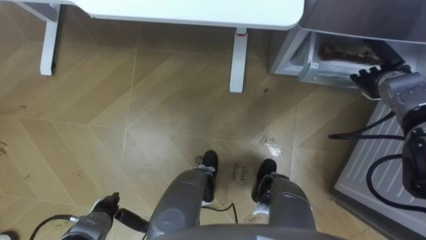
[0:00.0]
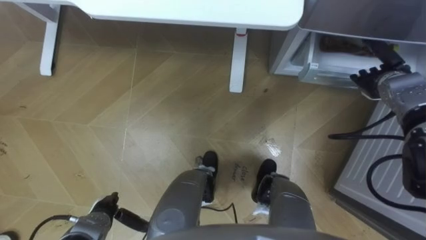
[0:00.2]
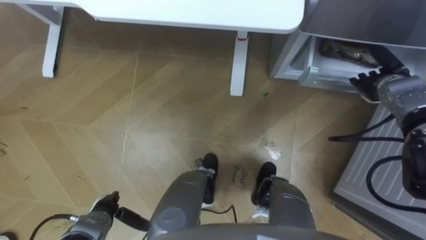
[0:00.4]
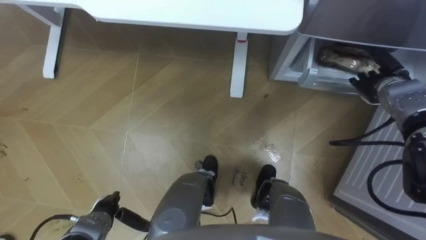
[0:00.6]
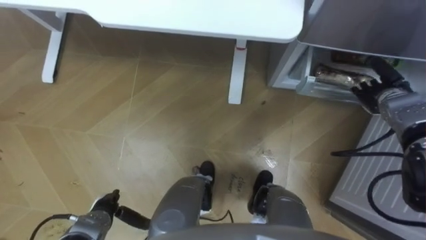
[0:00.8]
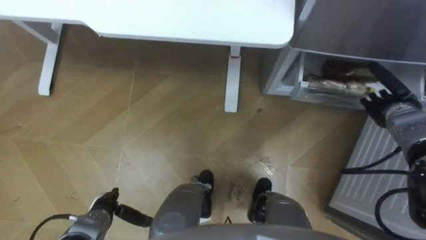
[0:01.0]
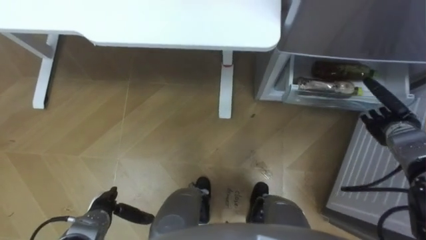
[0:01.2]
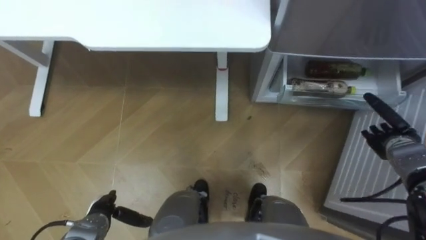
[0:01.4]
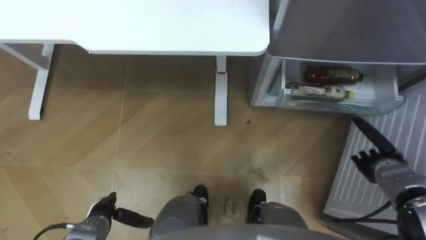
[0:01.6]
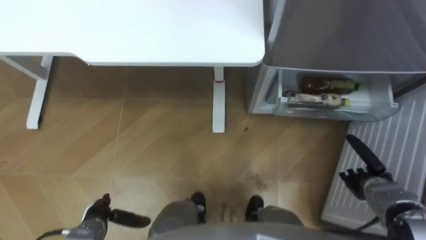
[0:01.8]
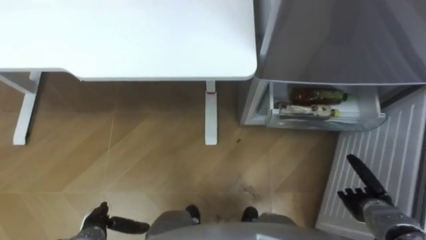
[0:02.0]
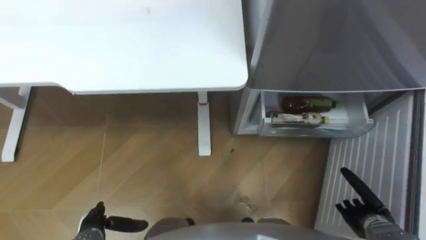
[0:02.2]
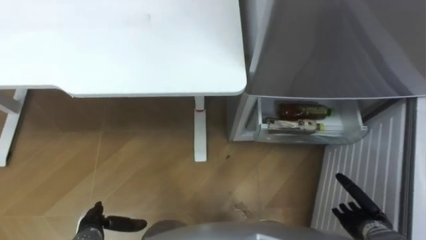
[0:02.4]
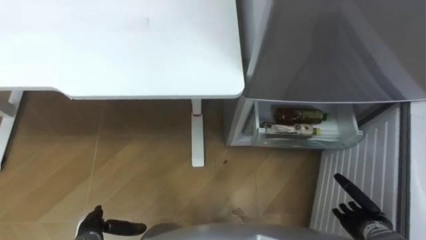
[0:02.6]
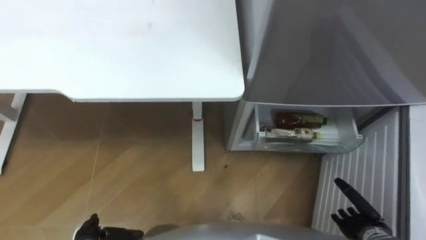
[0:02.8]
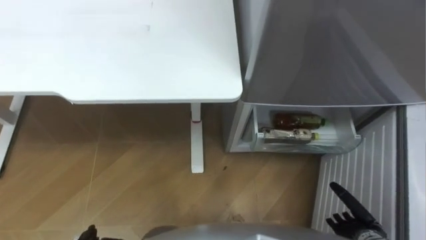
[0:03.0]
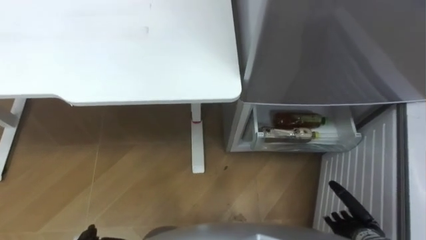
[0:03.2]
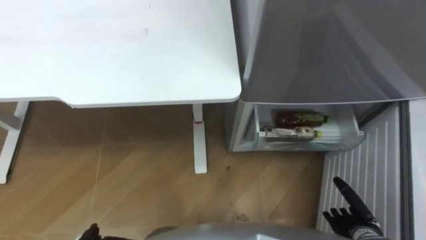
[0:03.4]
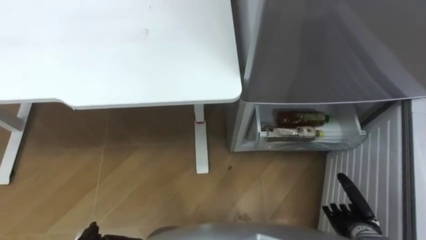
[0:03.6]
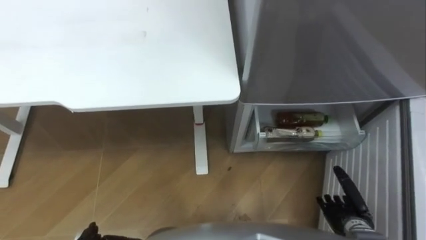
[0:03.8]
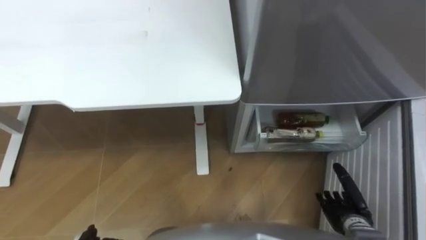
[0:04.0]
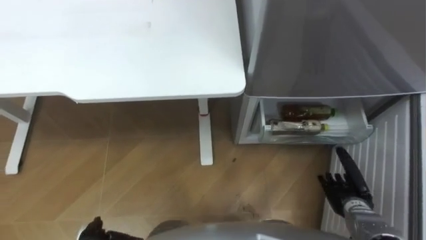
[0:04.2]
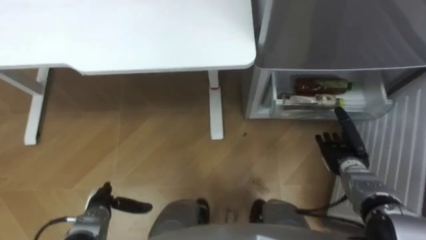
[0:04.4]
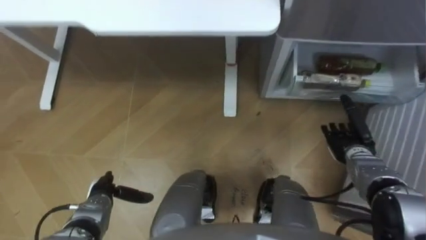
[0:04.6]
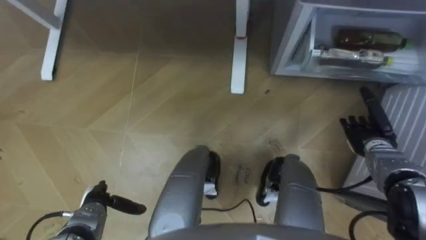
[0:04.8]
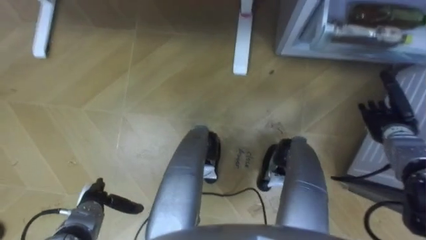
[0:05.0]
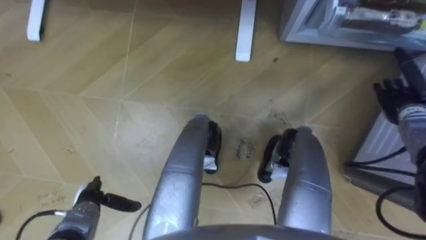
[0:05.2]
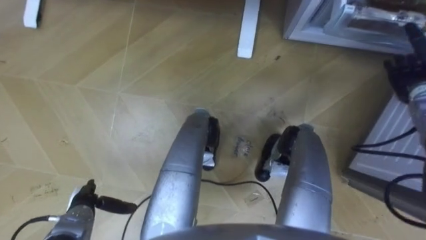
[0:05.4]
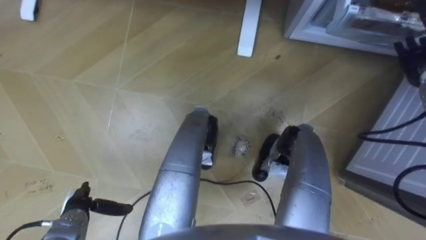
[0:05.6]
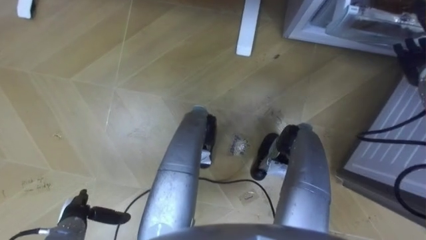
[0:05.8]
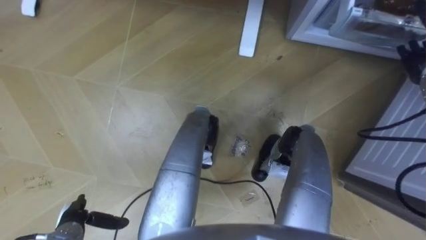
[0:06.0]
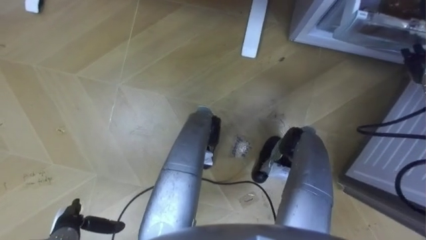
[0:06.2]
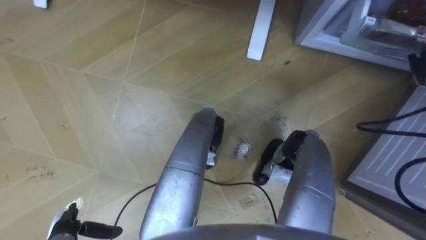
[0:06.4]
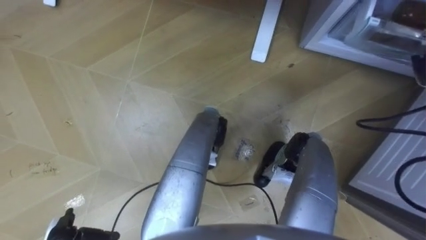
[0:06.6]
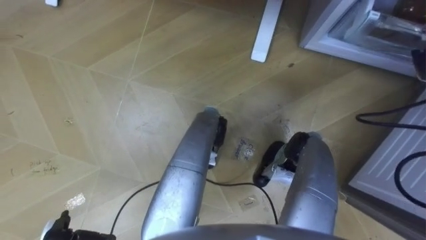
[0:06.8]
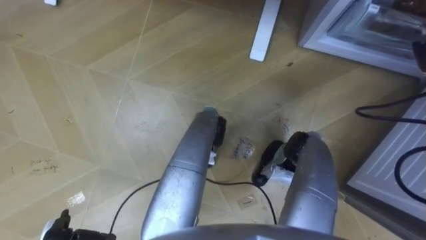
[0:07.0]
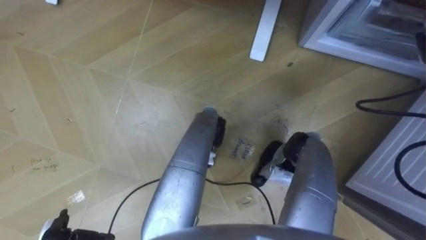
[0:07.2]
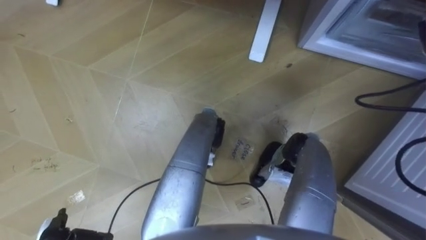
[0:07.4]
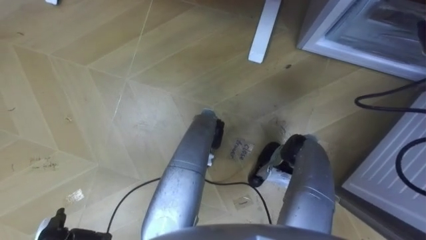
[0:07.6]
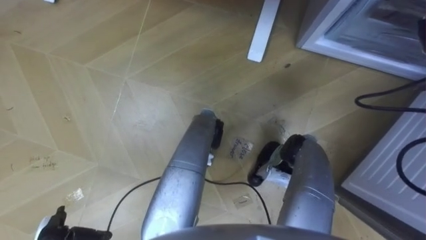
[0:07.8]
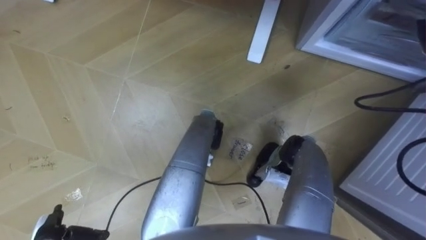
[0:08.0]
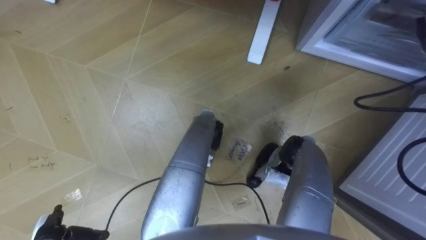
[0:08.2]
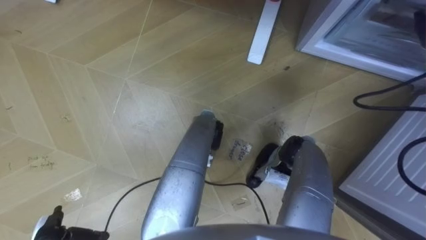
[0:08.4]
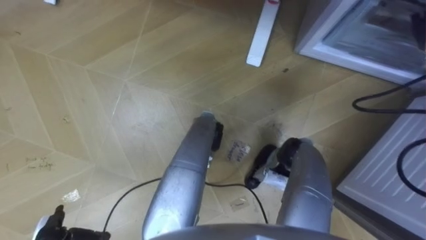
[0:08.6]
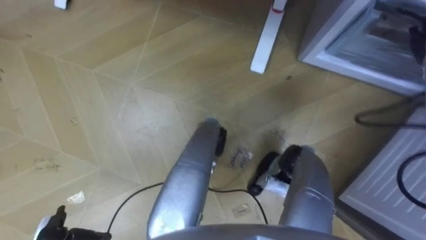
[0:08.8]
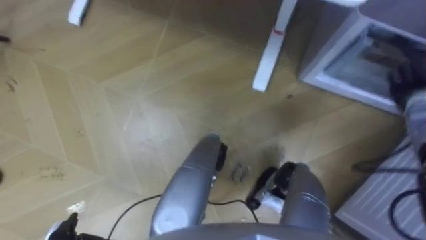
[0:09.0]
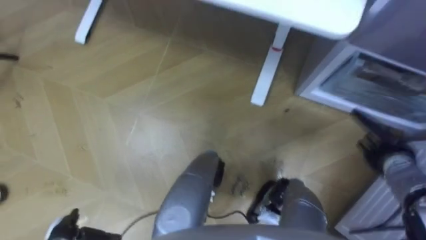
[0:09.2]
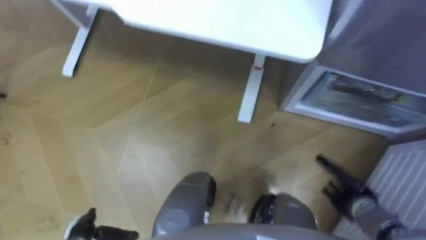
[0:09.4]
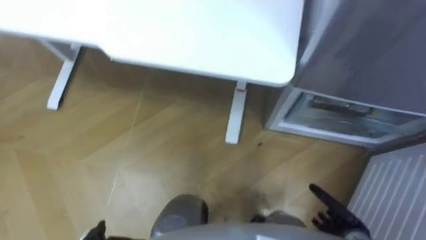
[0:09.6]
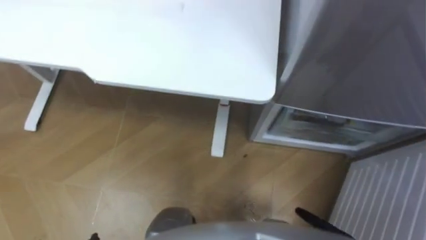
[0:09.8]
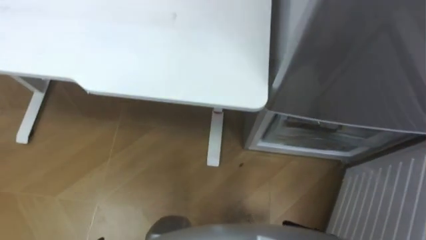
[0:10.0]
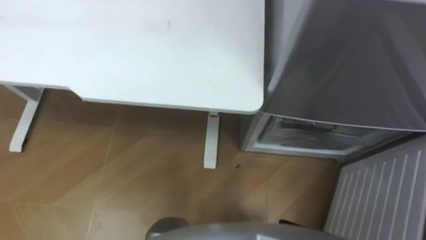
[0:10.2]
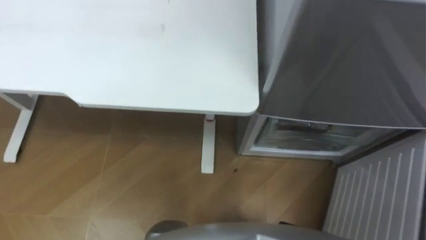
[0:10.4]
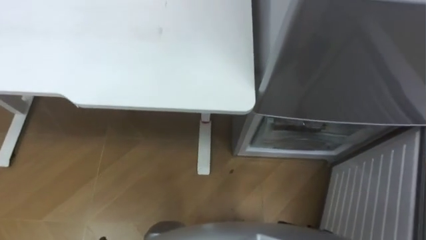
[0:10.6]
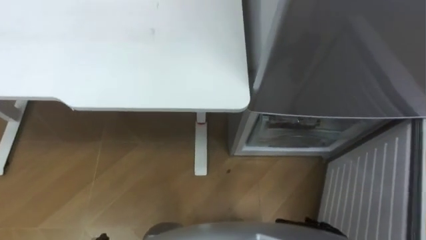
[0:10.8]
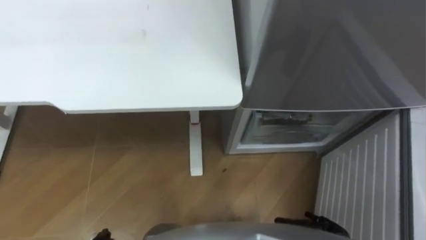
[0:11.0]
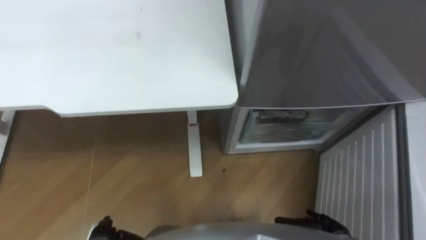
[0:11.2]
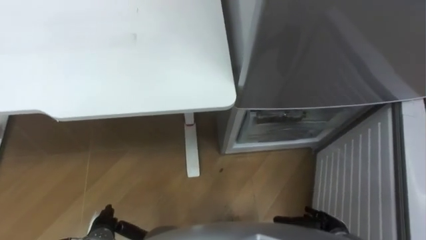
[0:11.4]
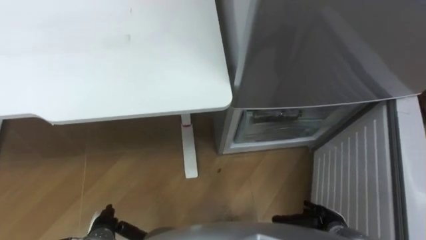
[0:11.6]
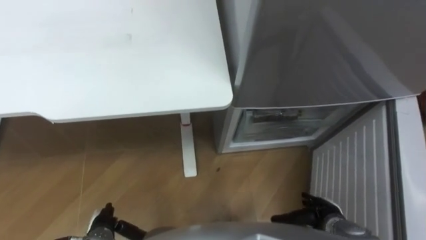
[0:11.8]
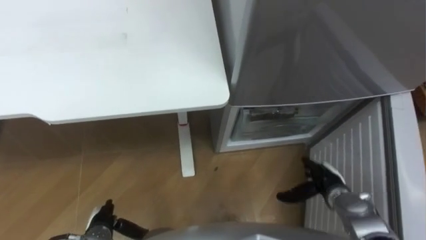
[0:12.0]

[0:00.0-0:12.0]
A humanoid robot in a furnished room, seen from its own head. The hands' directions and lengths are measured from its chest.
Task of the whole recording: Place the drink on the table on the bottom shelf of the refrigerator, then close the drawer and the refrigerator door.
0:00.0 to 0:01.6: The right hand is displaced backward and downward by approximately 20 cm.
0:01.6 to 0:03.0: The right hand heads backward and downward, covering roughly 15 cm.
0:03.0 to 0:04.4: The right hand is displaced forward by about 15 cm.
0:04.4 to 0:06.0: The right hand moves upward, forward and to the right, about 25 cm. The left hand changes place by approximately 5 cm.

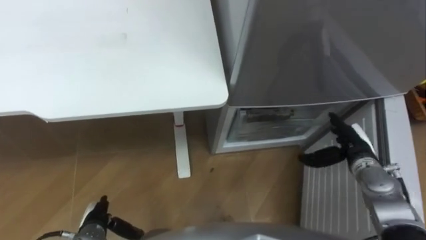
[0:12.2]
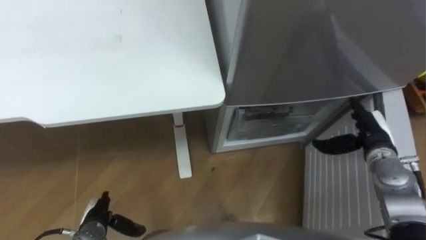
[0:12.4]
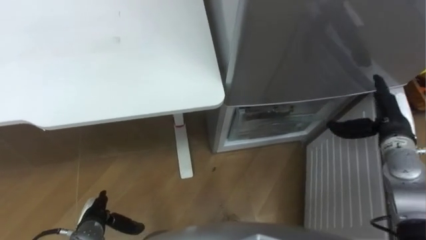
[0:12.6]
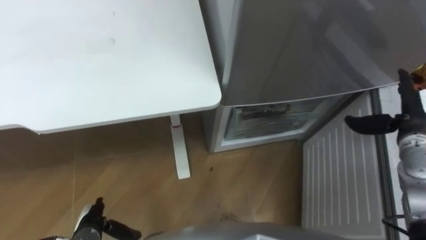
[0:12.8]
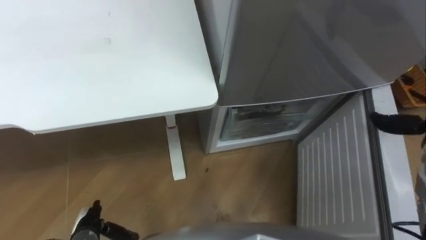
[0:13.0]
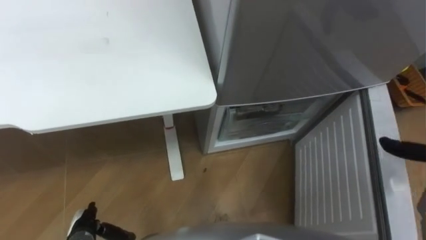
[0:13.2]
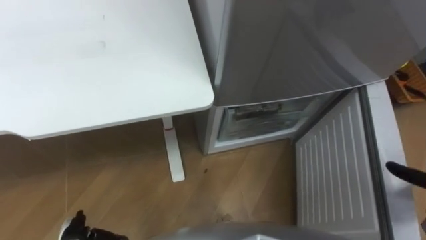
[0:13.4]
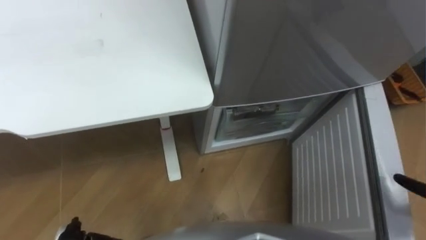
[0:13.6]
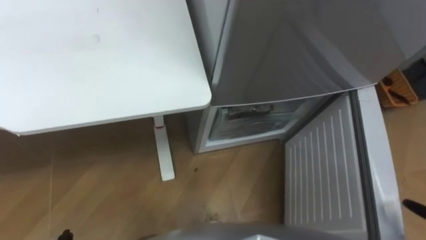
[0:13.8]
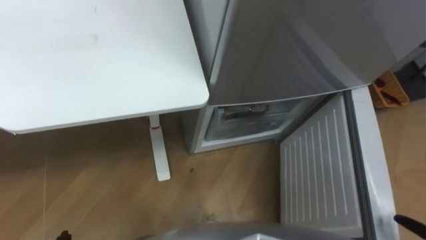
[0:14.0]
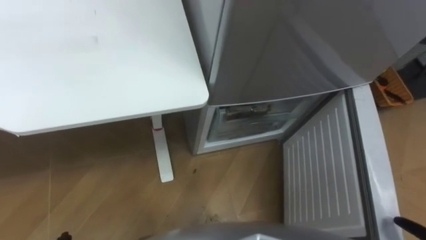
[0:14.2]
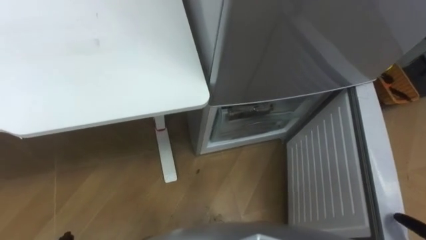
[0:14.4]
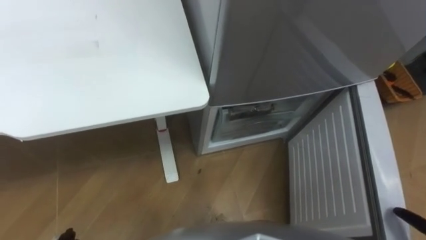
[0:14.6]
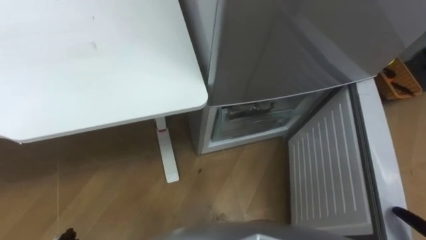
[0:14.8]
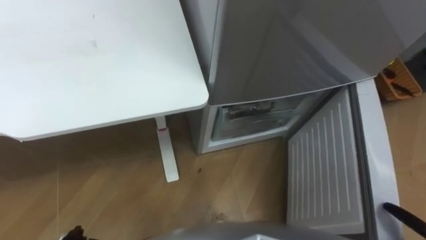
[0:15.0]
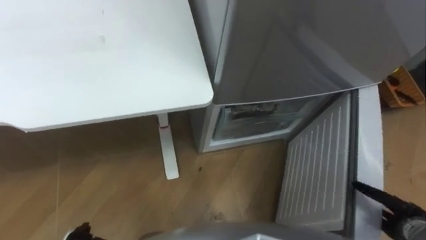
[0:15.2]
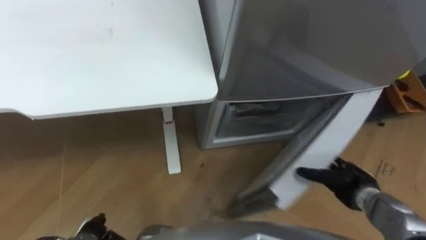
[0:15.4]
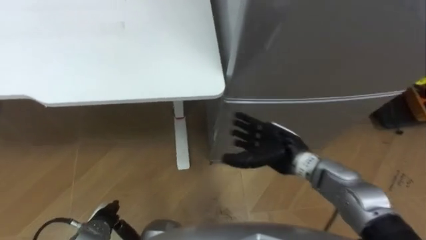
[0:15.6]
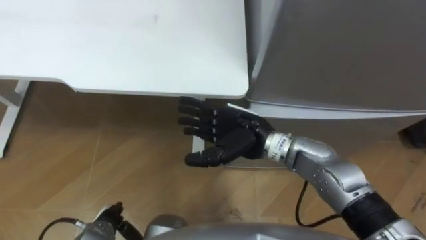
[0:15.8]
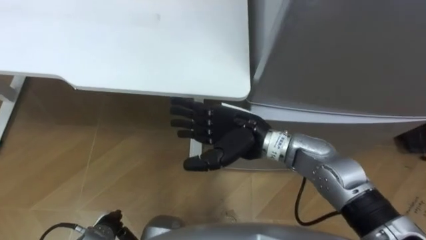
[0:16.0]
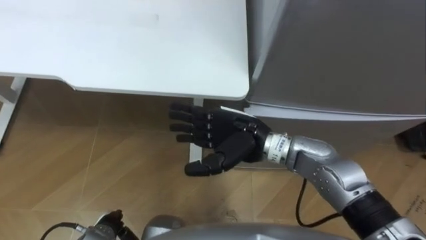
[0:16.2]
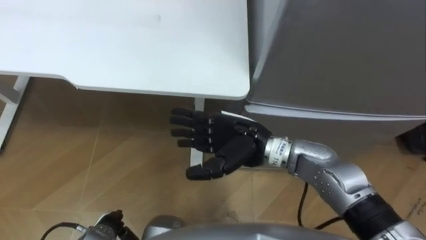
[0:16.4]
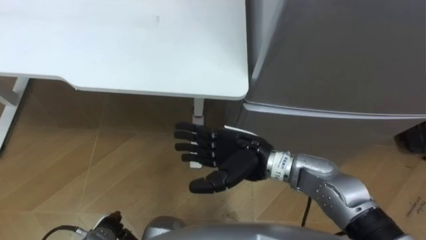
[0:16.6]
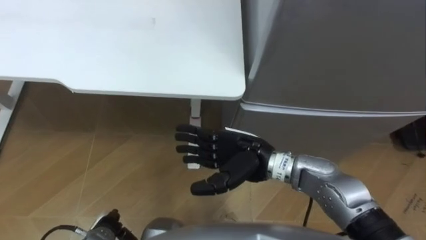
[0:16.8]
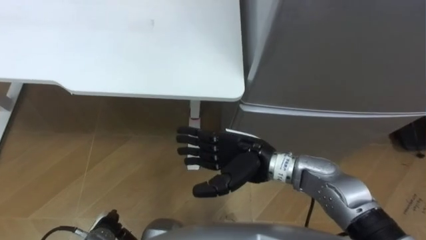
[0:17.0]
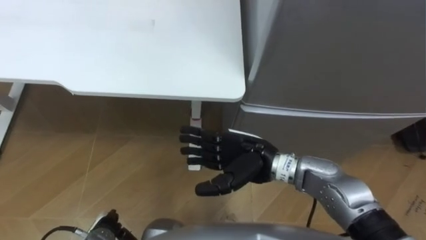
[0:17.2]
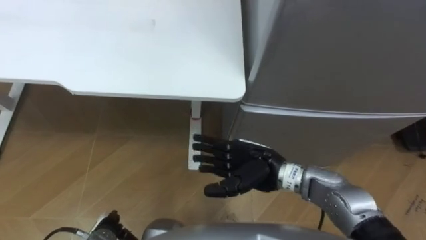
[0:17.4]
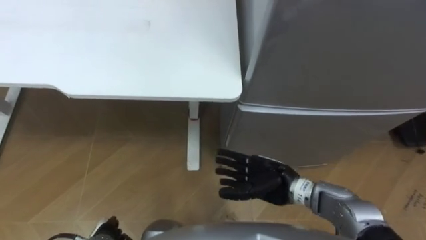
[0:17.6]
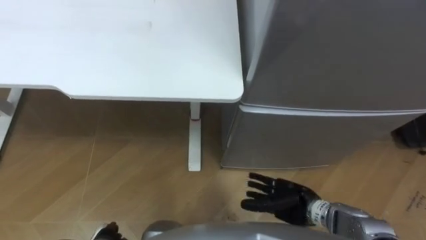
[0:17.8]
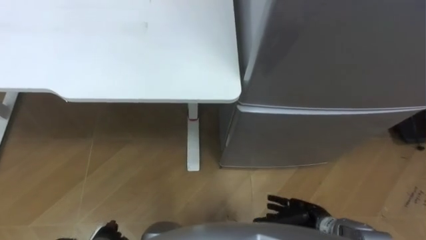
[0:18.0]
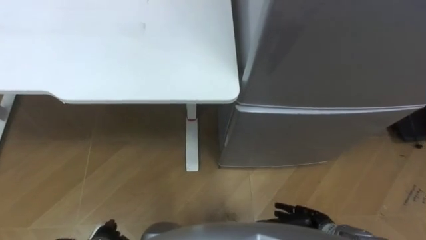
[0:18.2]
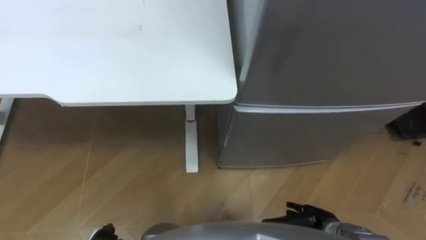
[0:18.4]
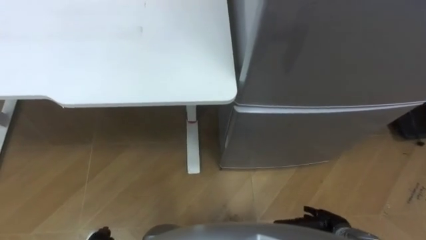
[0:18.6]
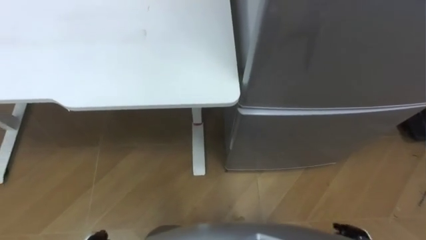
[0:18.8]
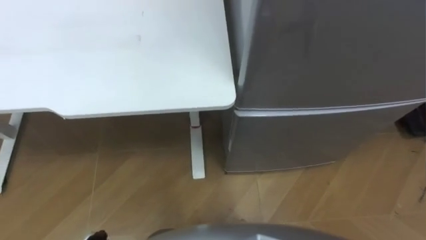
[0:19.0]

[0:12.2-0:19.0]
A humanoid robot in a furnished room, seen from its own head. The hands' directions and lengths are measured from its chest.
Task of the whole recording: Place the drink on the table on the bottom shelf of the refrigerator, then close the drawer and the refrigerator door.
0:16.2 to 0:17.6: The right hand goes approximately 15 cm downward, to the right and backward.
